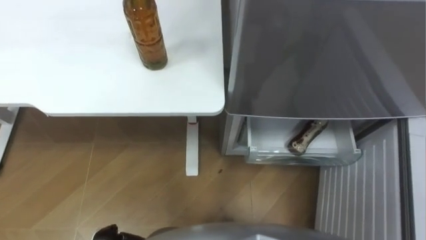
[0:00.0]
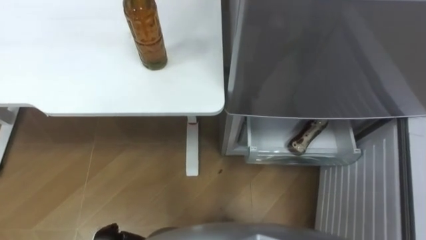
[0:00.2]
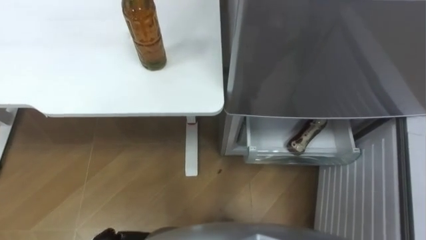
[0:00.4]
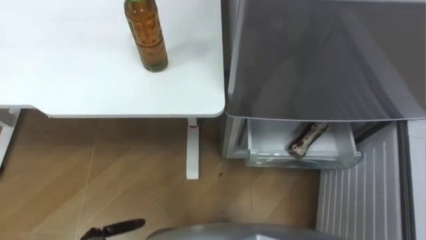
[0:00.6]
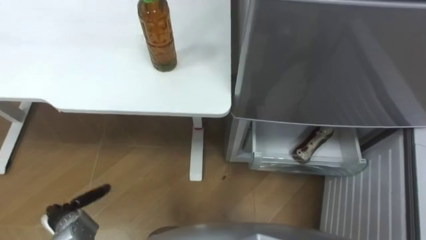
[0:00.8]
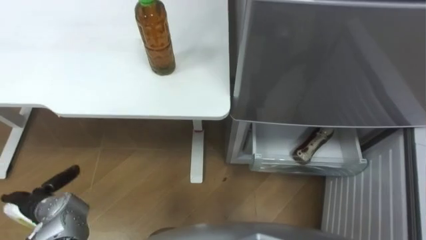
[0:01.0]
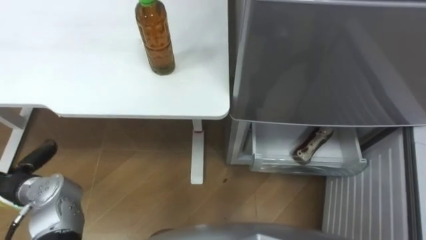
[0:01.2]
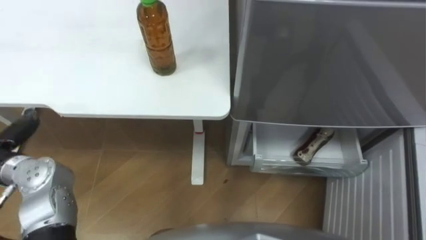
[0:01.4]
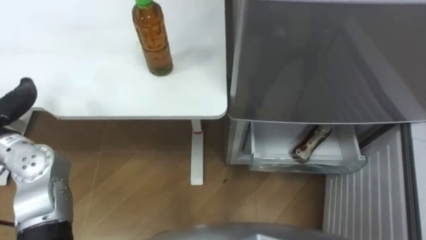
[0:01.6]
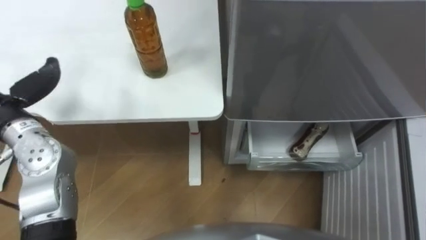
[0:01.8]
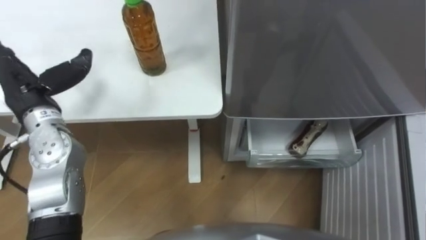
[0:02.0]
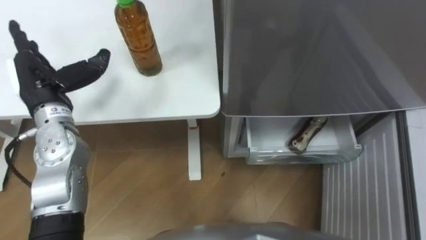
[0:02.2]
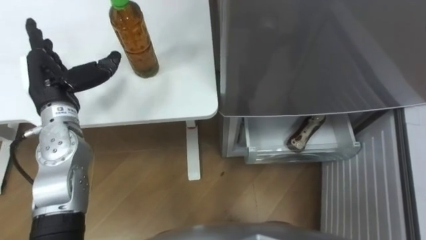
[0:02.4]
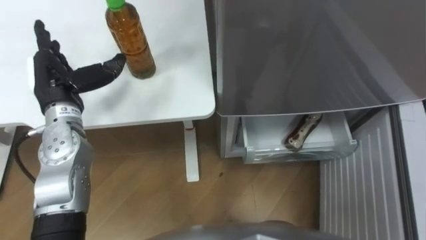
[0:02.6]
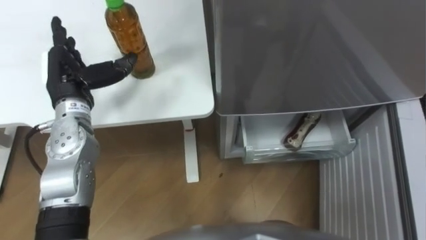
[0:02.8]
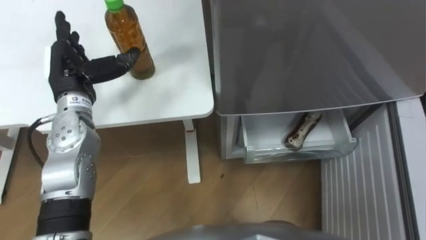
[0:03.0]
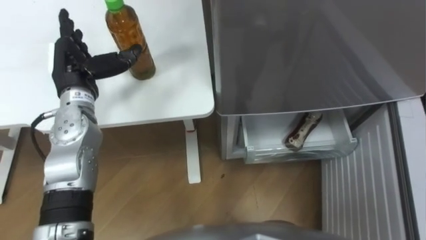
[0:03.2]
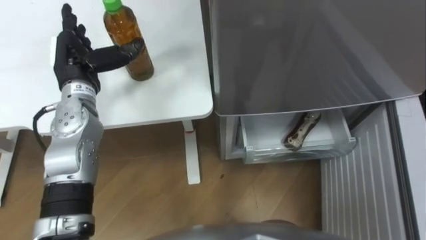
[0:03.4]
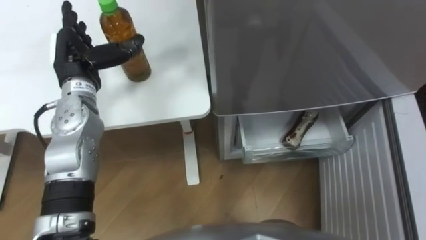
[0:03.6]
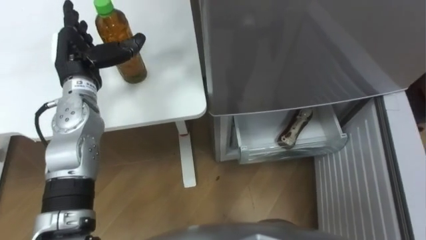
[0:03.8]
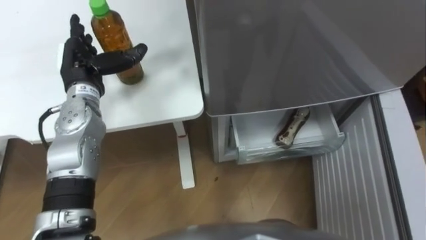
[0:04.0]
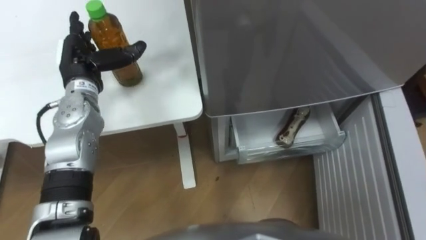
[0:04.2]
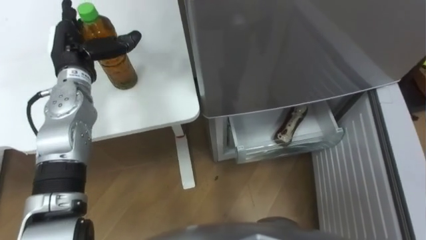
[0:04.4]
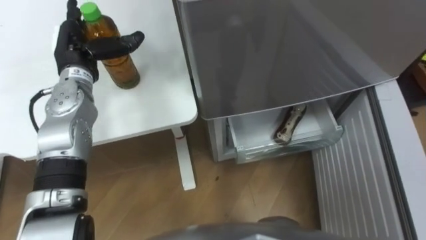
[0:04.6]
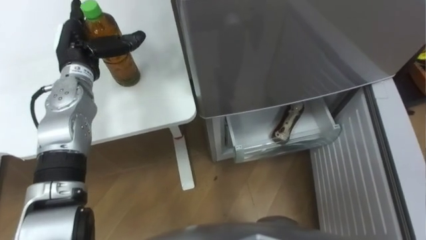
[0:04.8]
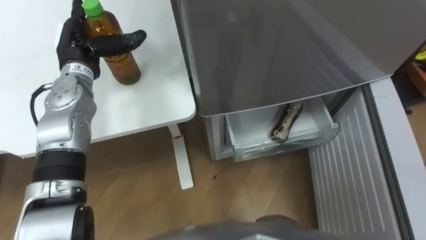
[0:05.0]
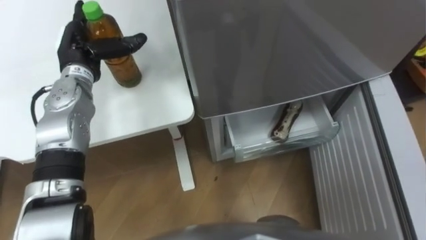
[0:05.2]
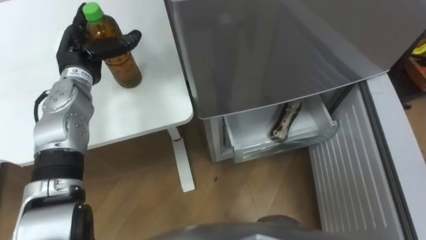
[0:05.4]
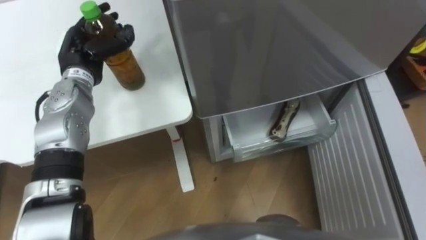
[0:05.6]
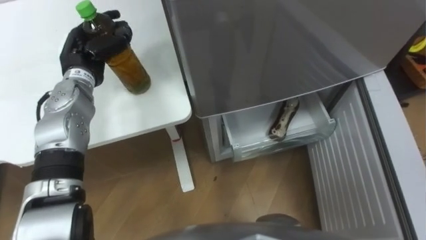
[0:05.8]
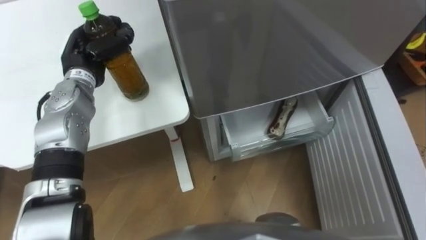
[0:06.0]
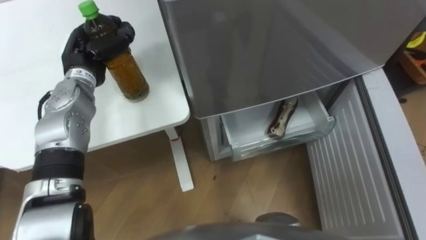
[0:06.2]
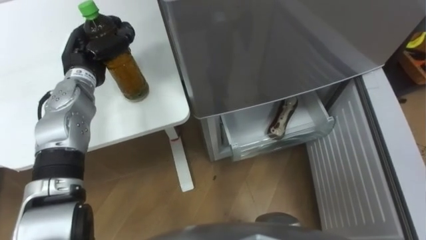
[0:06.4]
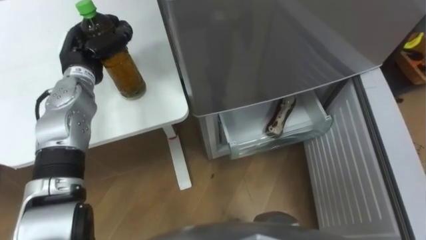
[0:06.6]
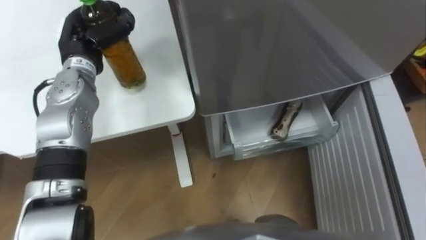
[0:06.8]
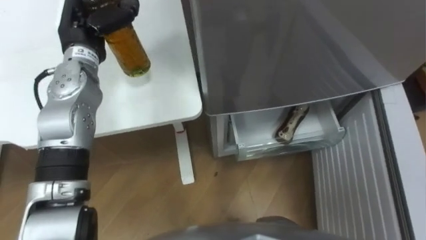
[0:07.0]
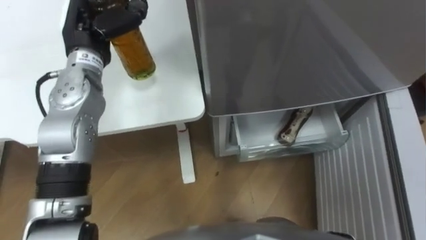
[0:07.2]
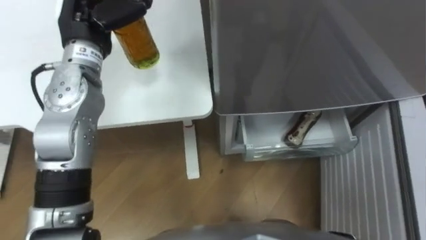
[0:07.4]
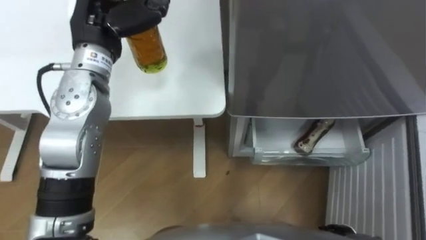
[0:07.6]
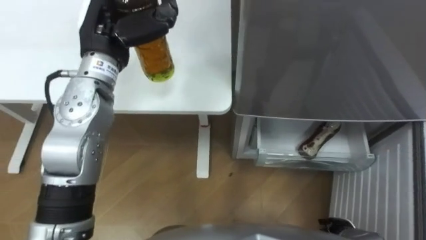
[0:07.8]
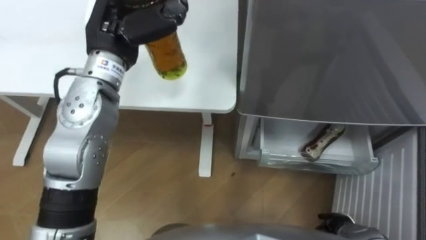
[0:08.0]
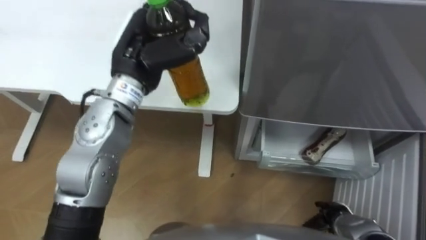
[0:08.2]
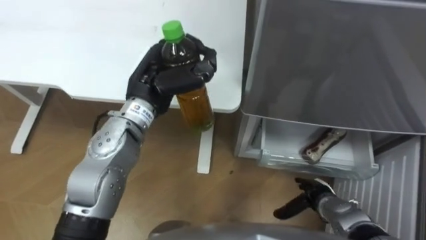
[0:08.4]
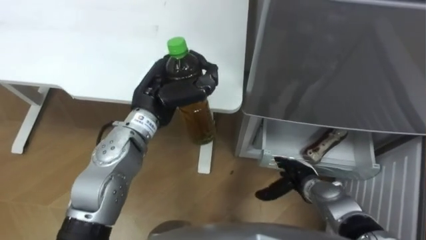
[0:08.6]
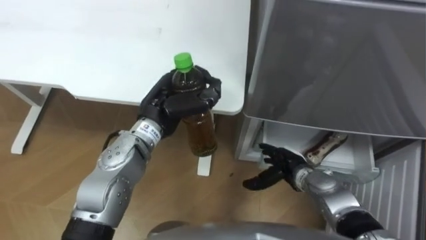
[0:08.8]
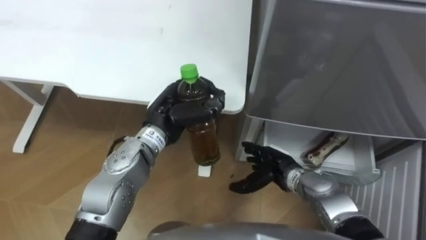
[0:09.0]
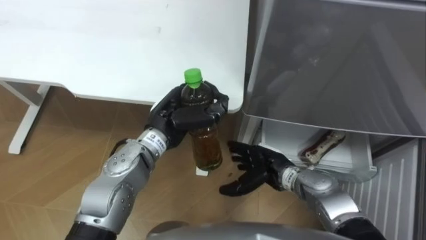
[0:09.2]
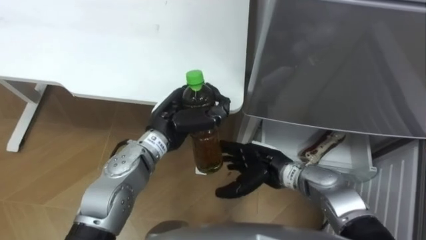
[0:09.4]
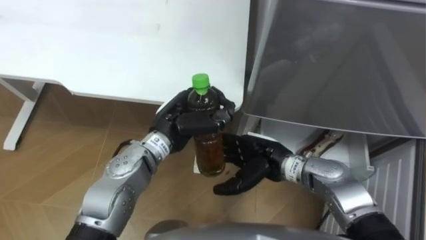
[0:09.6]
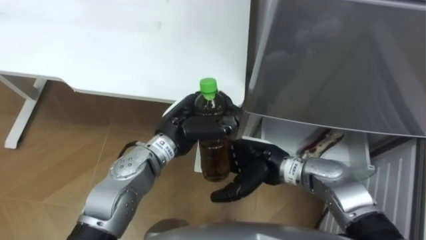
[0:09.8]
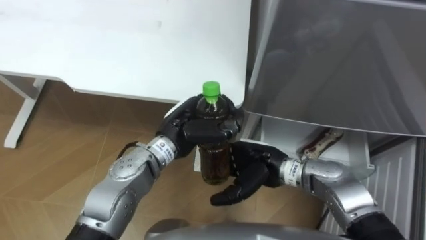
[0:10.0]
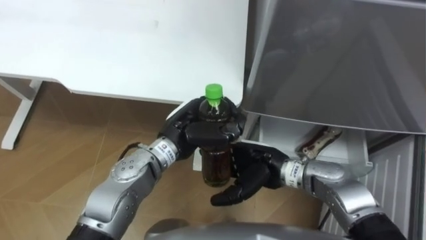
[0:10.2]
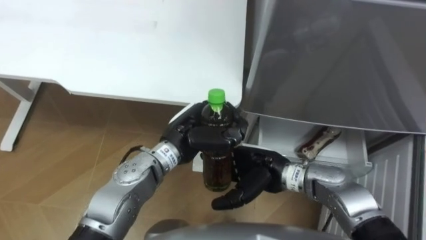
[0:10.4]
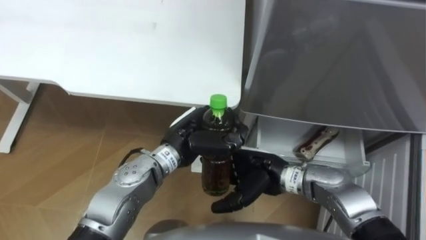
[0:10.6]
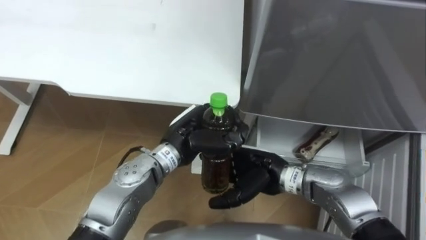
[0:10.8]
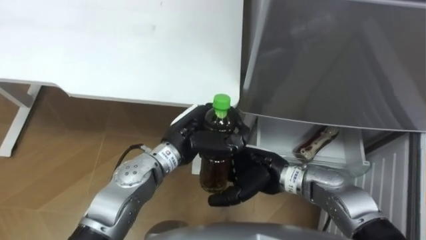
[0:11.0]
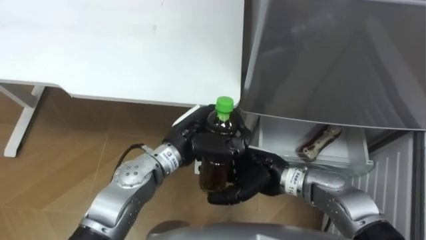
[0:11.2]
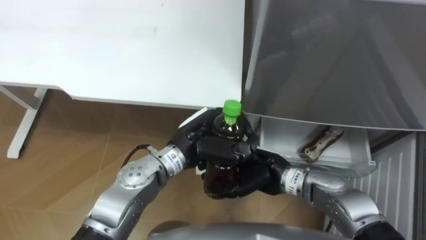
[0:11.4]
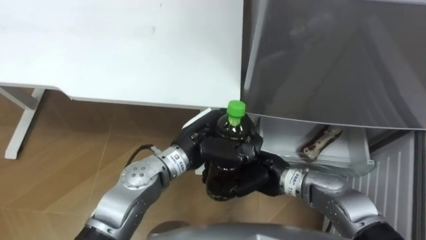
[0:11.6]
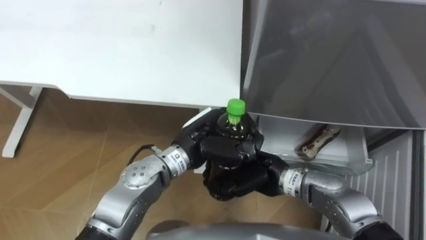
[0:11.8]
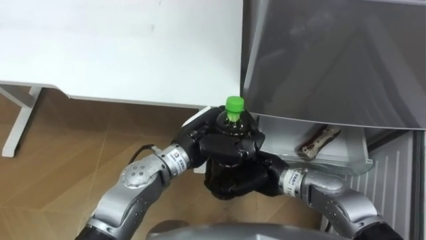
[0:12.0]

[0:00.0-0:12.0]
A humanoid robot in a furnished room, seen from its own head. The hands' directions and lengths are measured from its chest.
Task of the whole recording: Place the drink on the table on the bottom shelf of the refrigerator, then close the drawer and the refrigerator door.
0:04.4 to 0:06.0: The left hand closes up.
0:06.0 to 0:07.6: The left hand shifts about 15 cm upward and to the right.
0:07.6 to 0:09.0: The left hand heads downward, to the right and backward, covering approximately 20 cm.
0:09.0 to 0:10.4: The left hand ends up approximately 5 cm from where it was, while the right hand goes about 10 cm upward and to the left.
0:10.4 to 0:12.0: The right hand closes up.

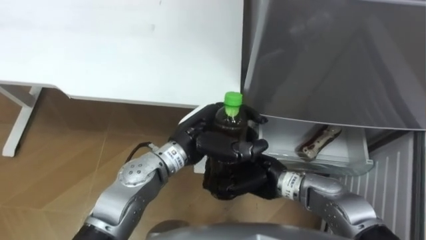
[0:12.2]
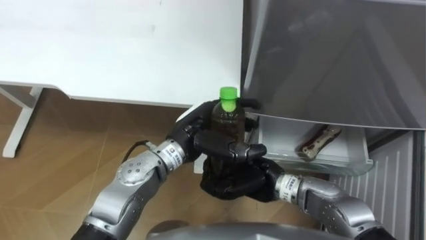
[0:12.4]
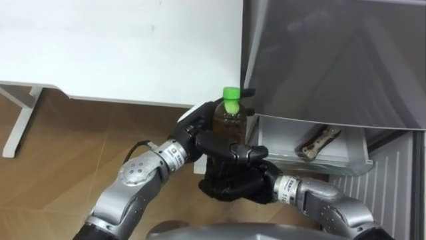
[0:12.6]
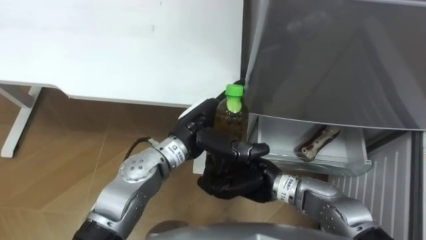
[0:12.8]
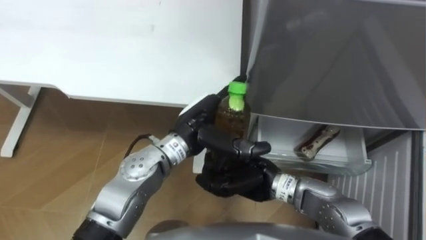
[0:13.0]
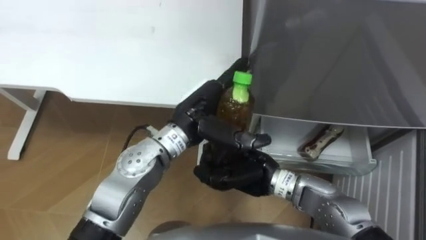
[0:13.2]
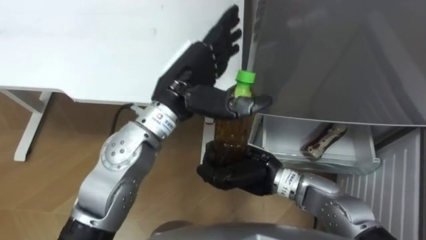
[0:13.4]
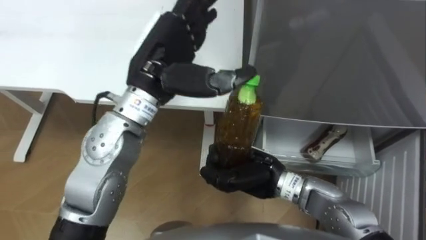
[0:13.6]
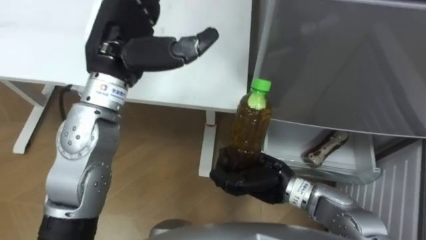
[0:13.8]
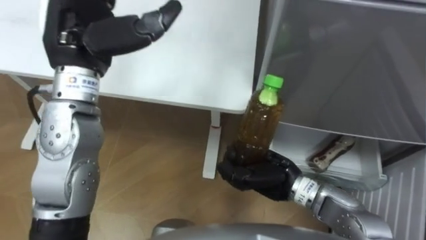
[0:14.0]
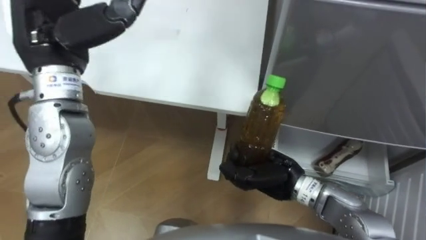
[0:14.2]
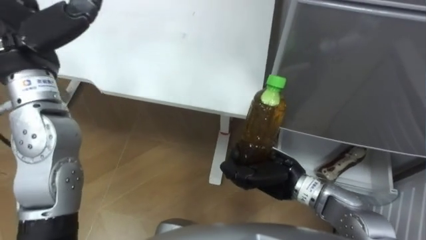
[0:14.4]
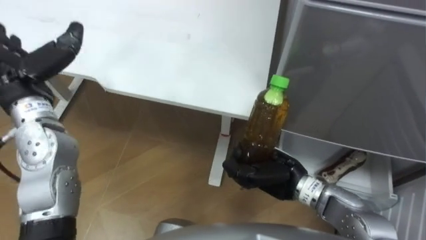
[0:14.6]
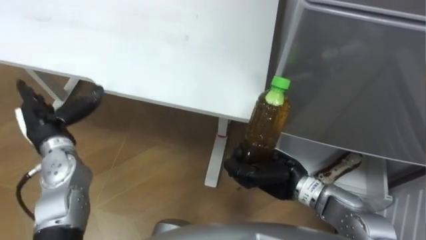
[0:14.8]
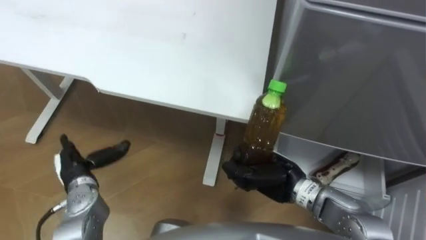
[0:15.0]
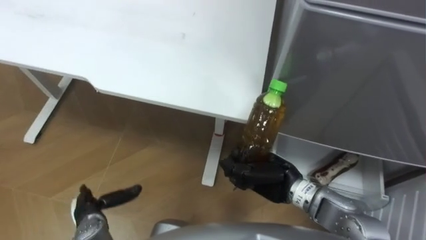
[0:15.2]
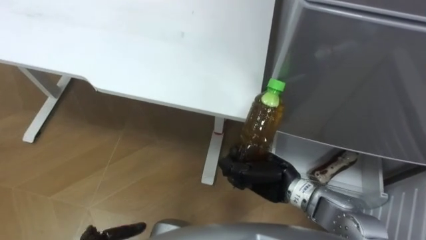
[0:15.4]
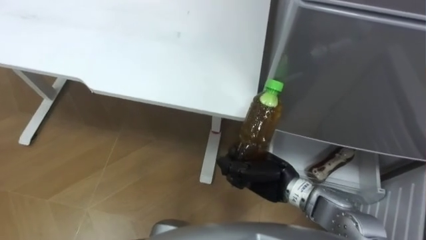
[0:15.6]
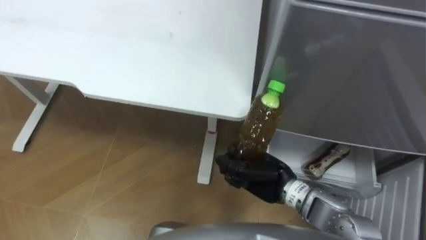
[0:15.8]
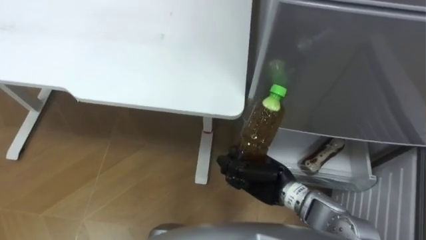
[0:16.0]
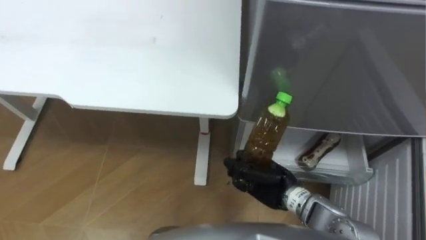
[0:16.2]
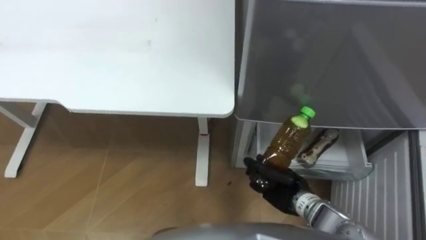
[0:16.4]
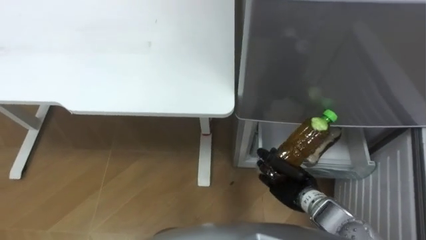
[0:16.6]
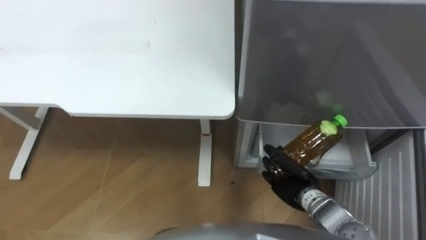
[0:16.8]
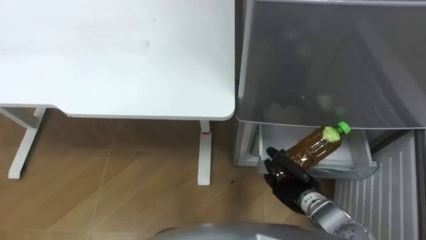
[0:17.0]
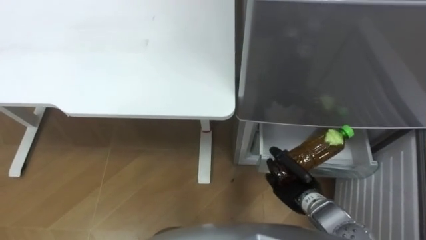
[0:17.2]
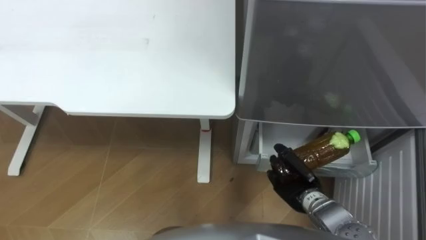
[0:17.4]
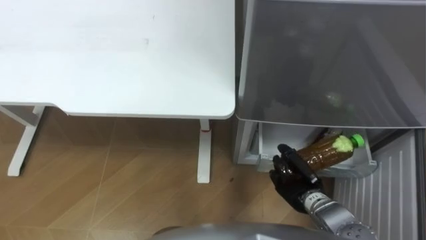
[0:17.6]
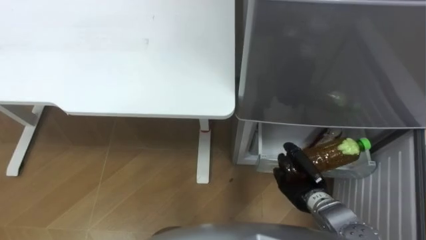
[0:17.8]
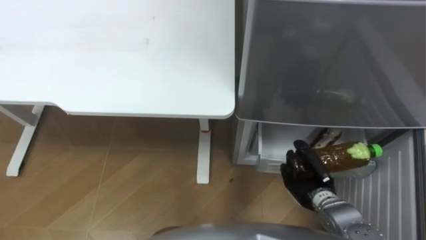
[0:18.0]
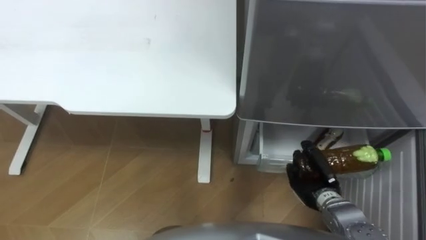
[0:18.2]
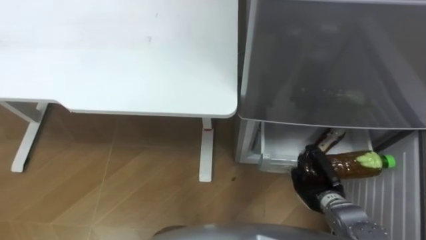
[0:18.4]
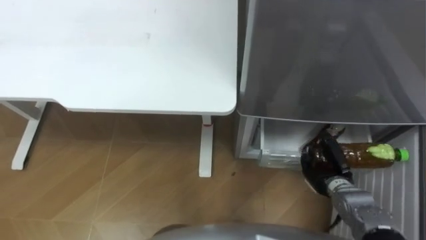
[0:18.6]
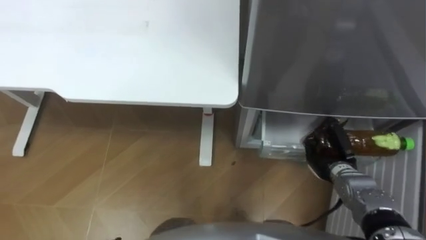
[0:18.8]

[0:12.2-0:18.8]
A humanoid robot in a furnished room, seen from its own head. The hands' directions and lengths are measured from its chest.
Task of the whole recording: Place the drink on the table on the bottom shelf of the refrigerator, then close the drawer and the refrigerator door.
0:12.2 to 0:13.8: The left hand is displaced upward and to the left by some 20 cm, and opens its fingers.
0:15.4 to 0:17.2: The right hand travels downward and to the right by some 10 cm.
0:17.2 to 0:18.8: The right hand heads to the right and forward, covering approximately 10 cm.
